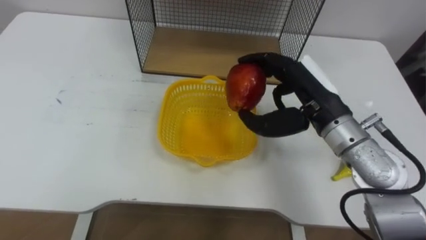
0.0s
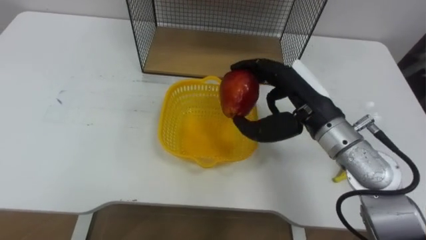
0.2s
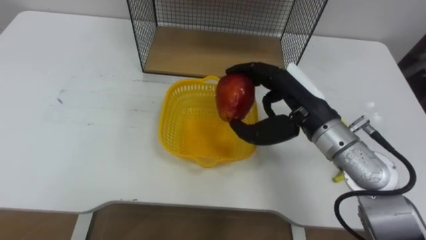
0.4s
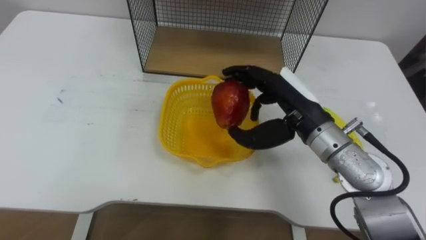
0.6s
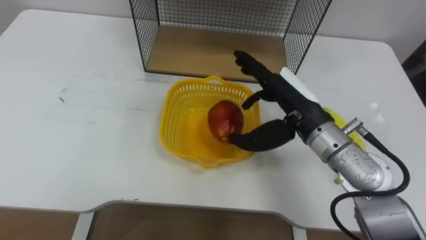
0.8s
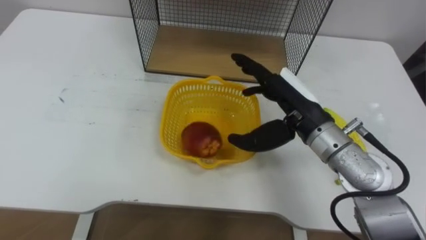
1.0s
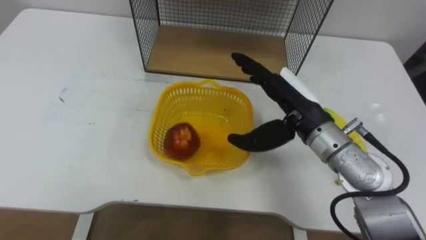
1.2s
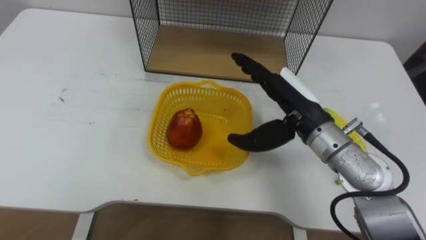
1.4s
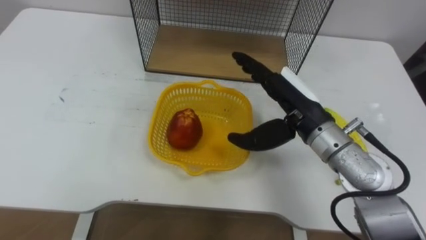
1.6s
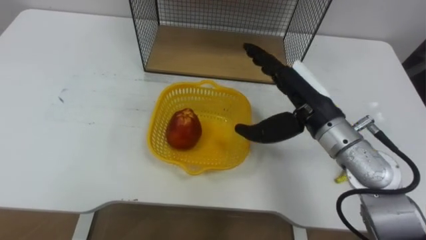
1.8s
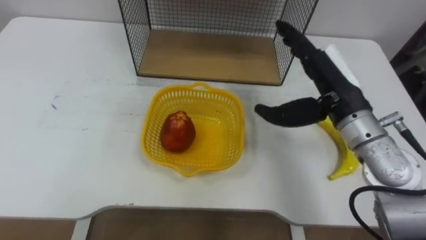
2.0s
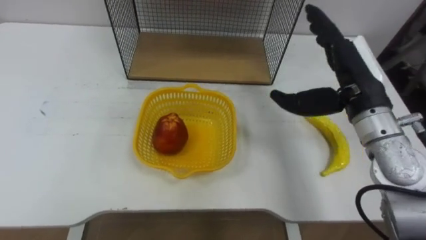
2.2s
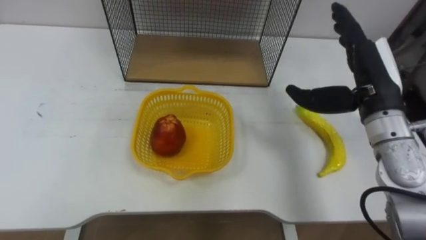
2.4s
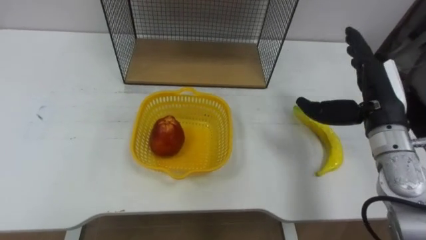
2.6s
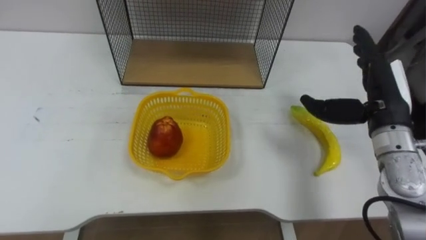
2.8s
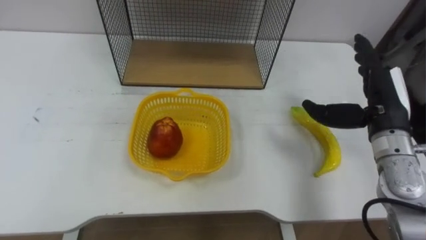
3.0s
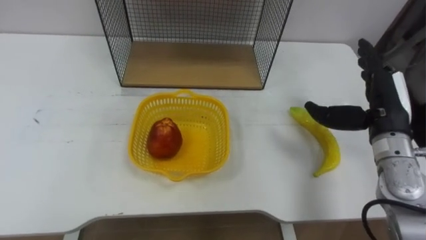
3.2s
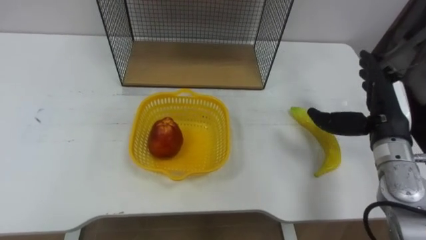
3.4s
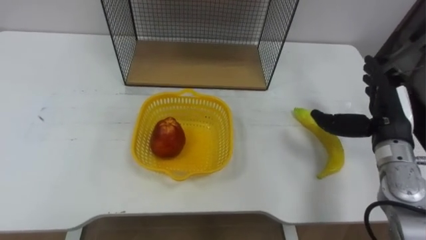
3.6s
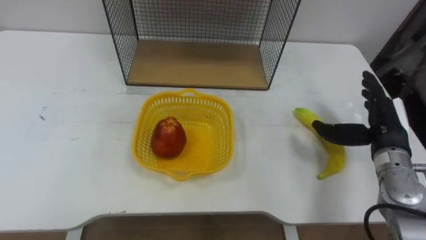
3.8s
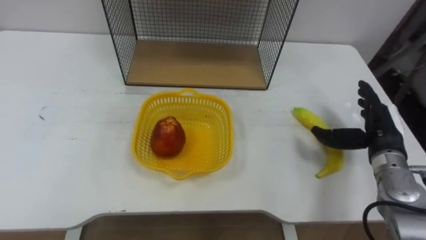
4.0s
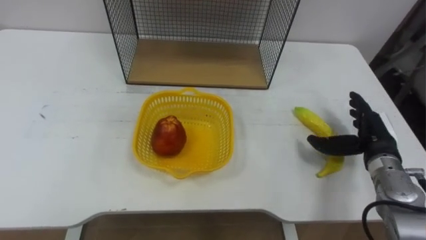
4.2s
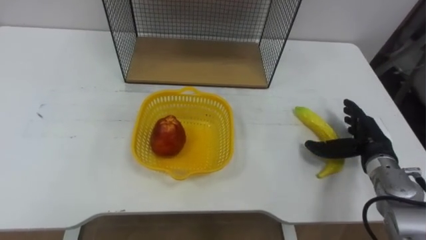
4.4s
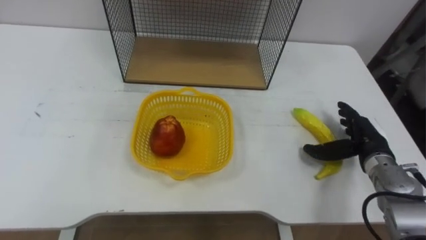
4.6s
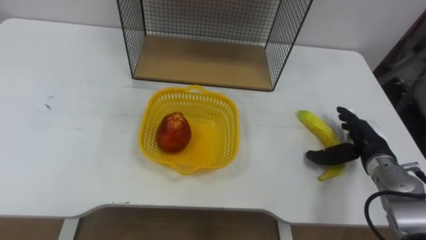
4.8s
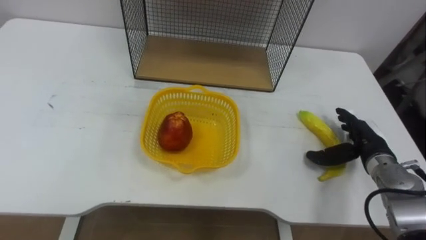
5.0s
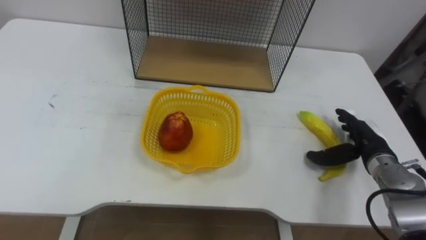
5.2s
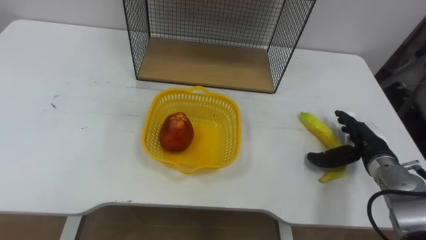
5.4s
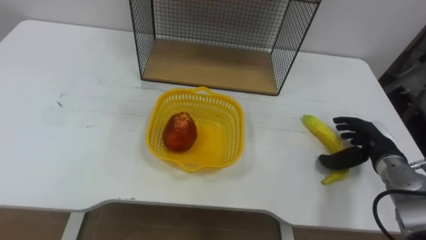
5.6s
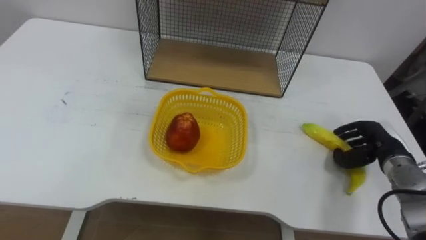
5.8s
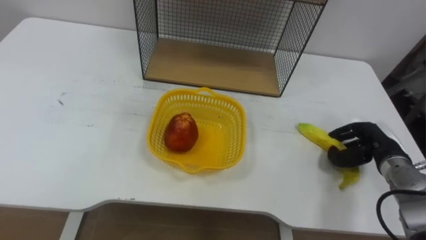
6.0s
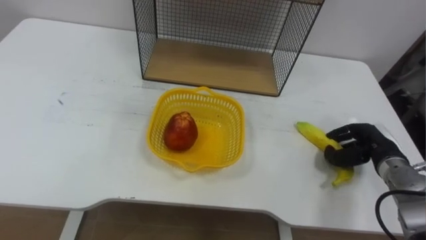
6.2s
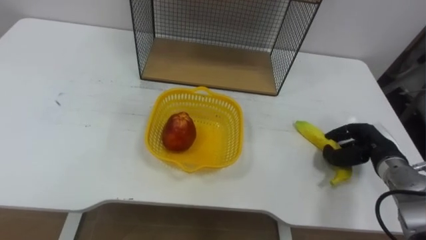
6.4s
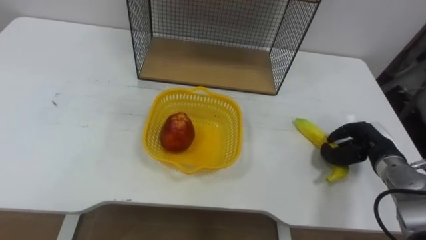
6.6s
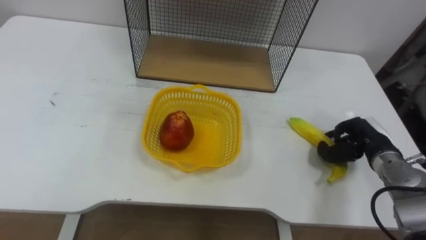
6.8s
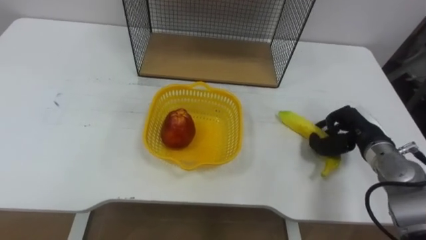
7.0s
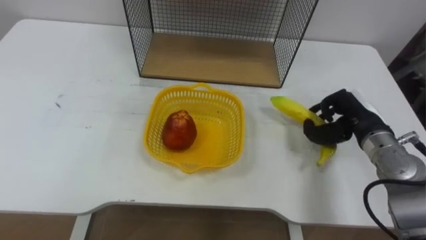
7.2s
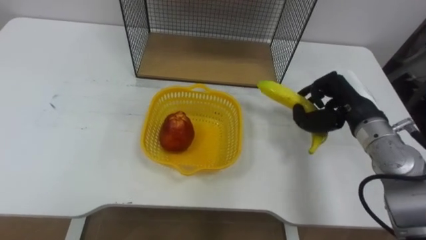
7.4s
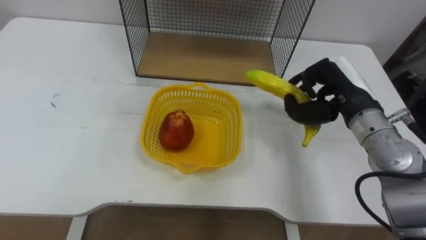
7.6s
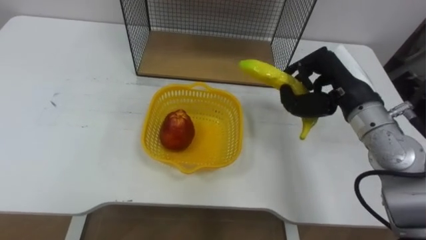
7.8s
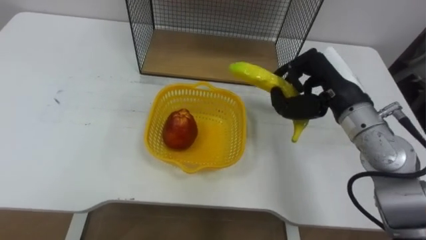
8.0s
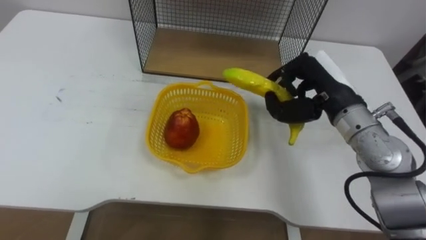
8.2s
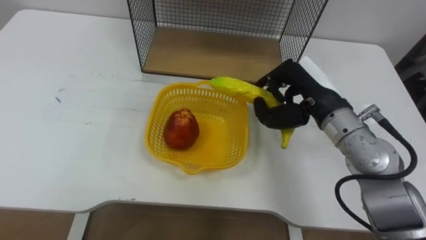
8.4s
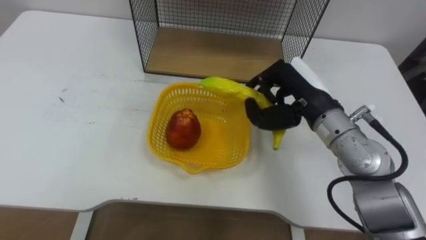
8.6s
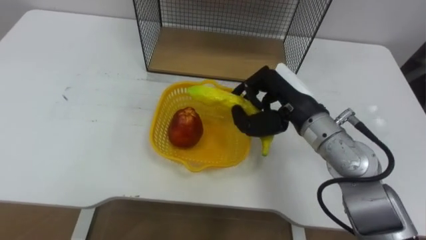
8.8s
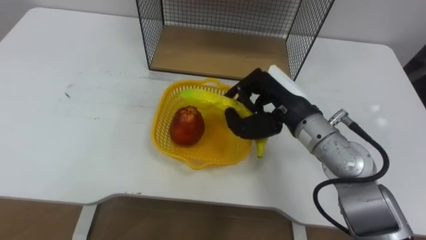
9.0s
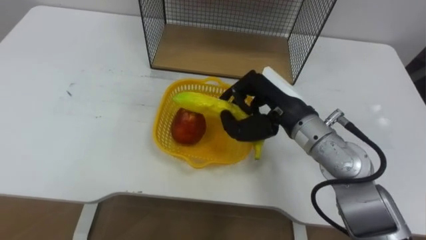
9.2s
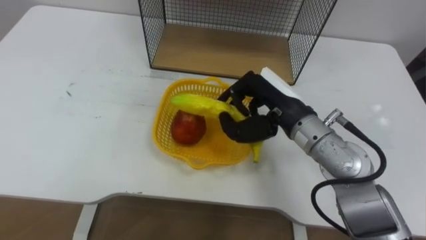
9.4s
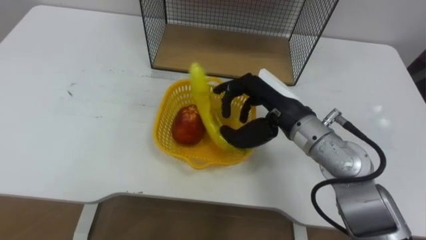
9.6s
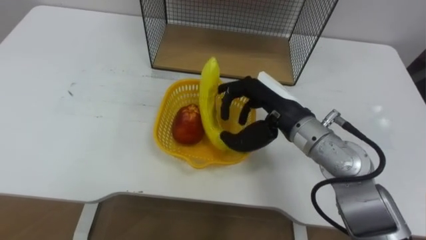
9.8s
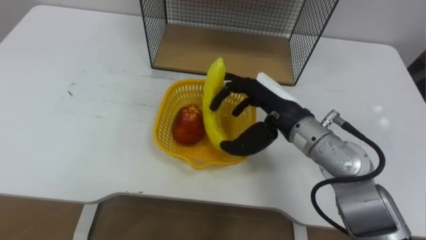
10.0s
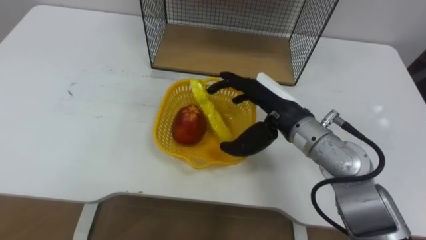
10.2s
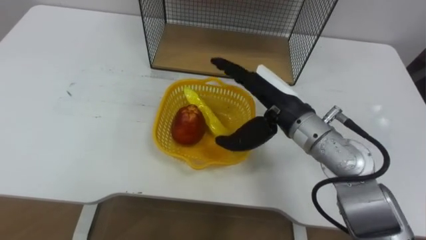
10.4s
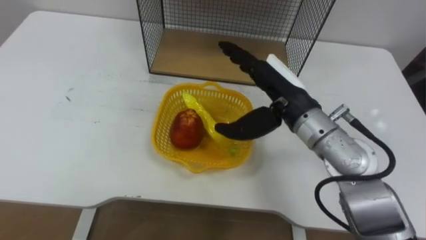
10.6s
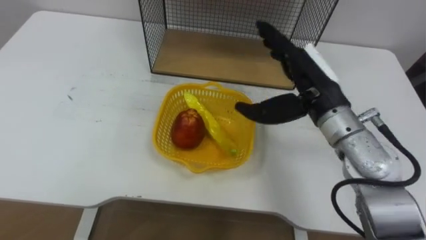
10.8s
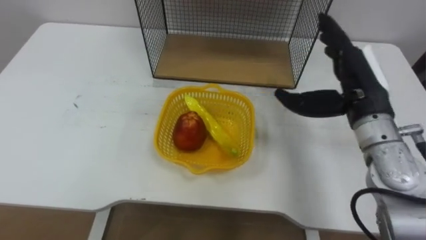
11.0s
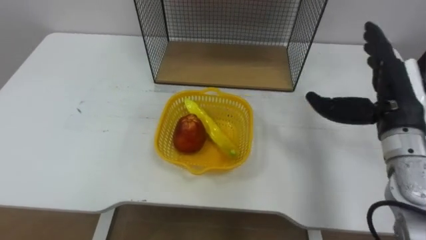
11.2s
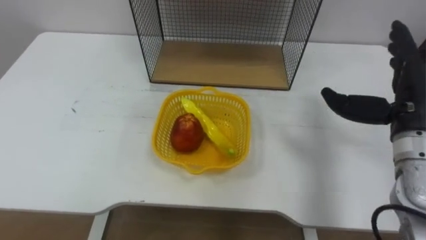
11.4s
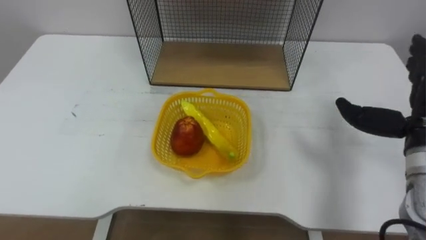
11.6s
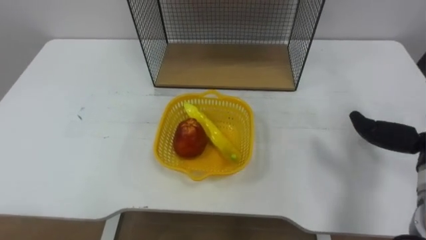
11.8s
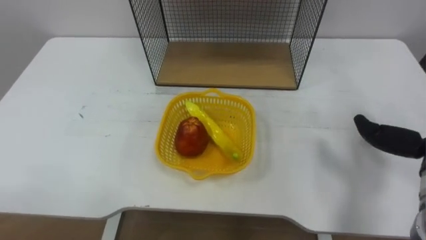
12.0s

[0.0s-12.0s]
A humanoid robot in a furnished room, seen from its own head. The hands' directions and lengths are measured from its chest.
Task of the whole recording: Put the fruit on the table into the basket, then place the basket on the shelf.
0.0s to 1.6s: The right hand opens.
1.6s to 3.0s: The right hand heads to the right, covering about 15 cm.
3.0s to 4.4s: The right hand heads downward, covering about 10 cm.
4.4s to 6.0s: The right hand closes its fingers.
6.0s to 7.6s: The right hand moves upward and to the left, roughly 20 cm.
7.6s to 9.0s: The right hand travels to the left by approximately 10 cm.
9.0s to 10.4s: The right hand opens up.

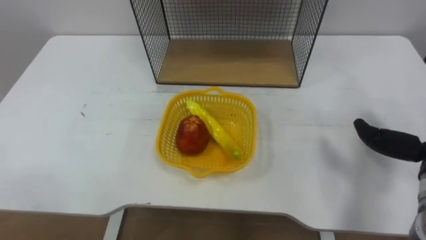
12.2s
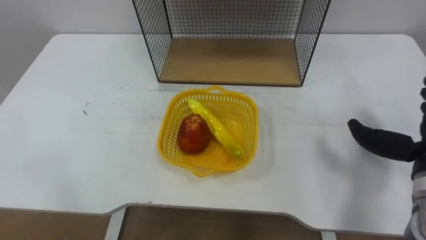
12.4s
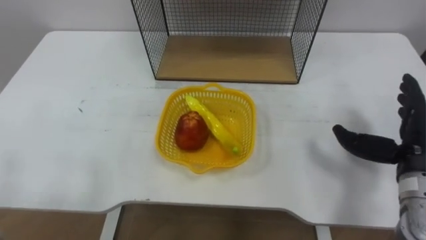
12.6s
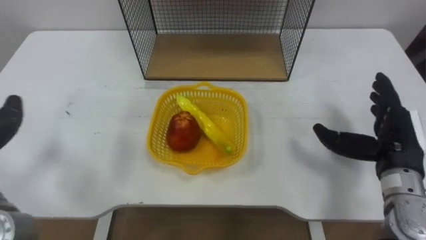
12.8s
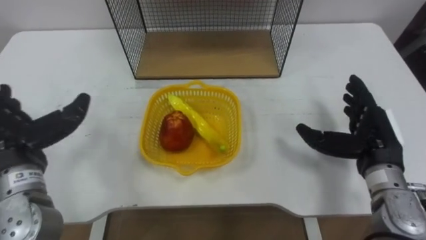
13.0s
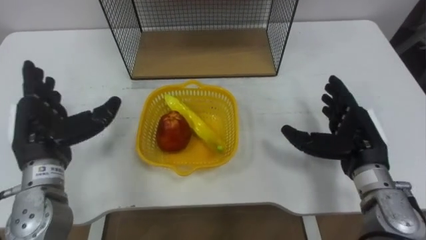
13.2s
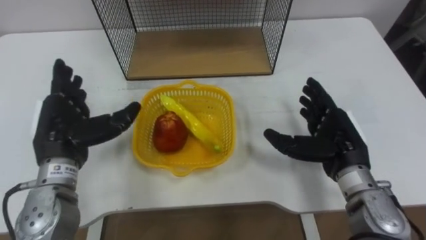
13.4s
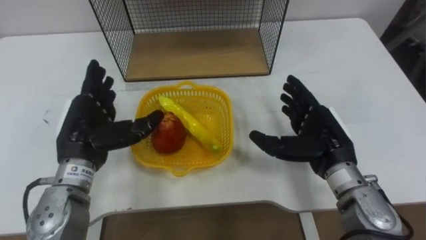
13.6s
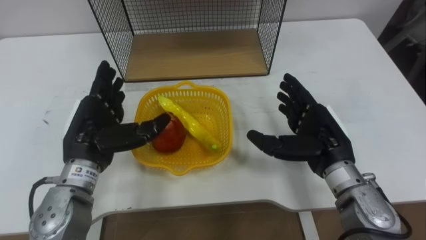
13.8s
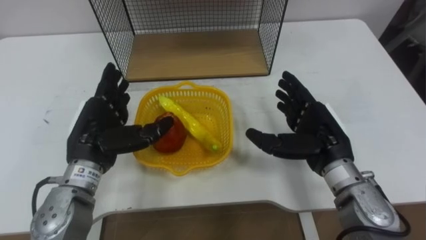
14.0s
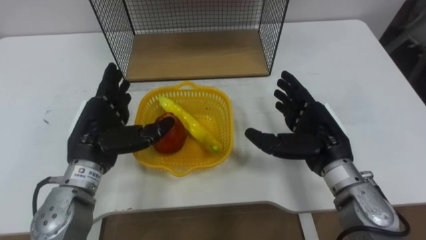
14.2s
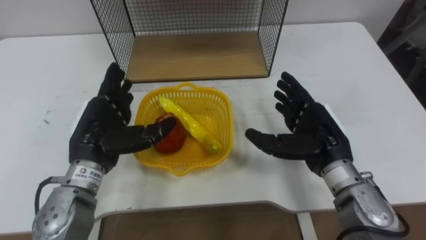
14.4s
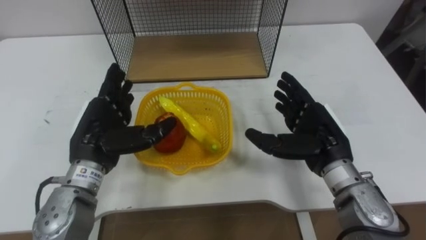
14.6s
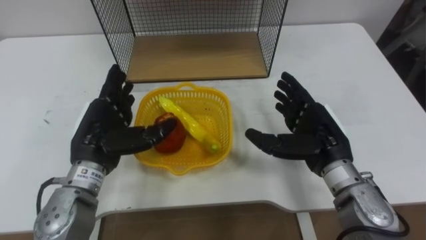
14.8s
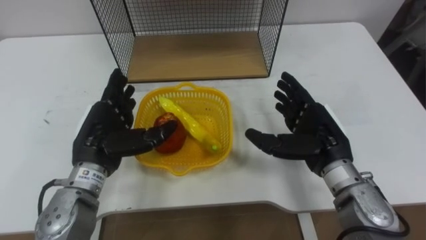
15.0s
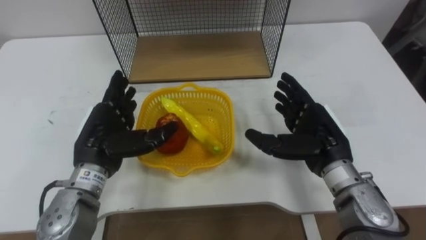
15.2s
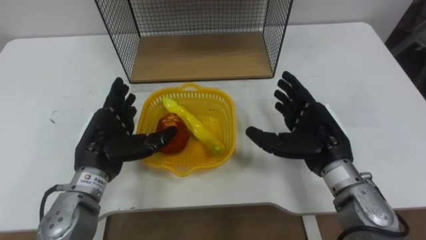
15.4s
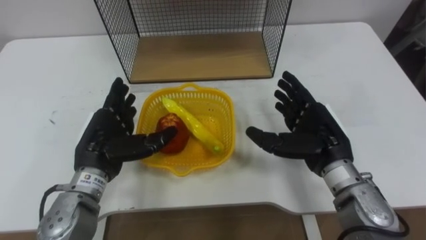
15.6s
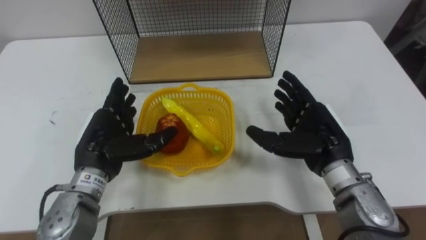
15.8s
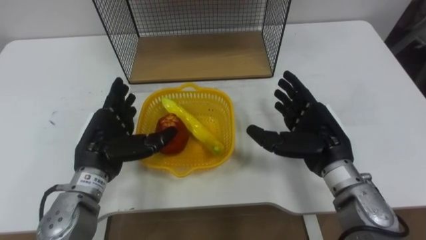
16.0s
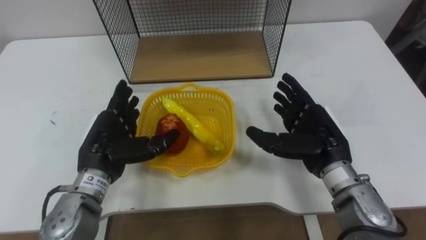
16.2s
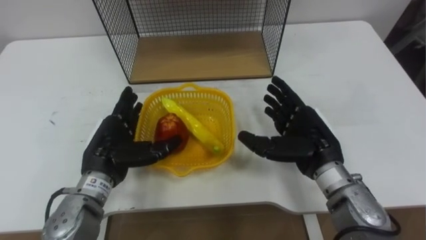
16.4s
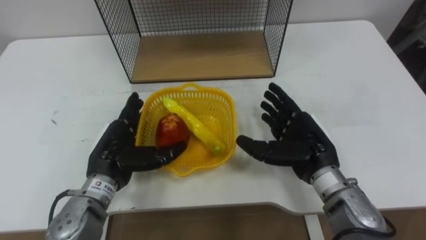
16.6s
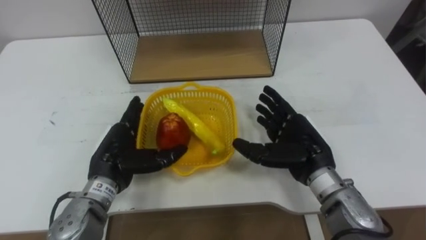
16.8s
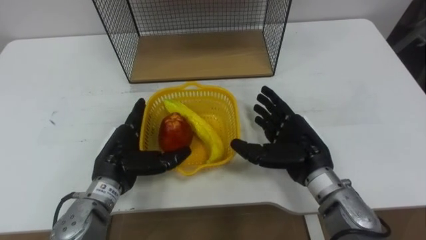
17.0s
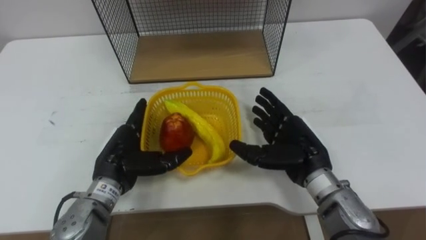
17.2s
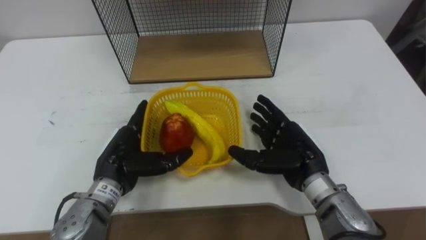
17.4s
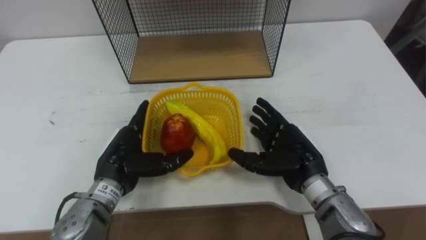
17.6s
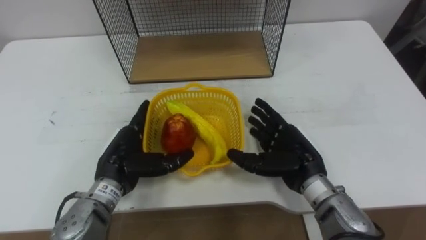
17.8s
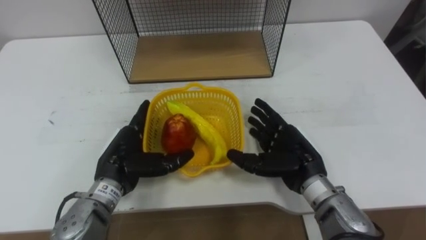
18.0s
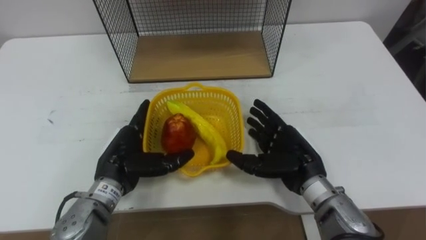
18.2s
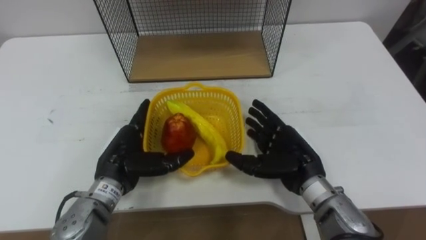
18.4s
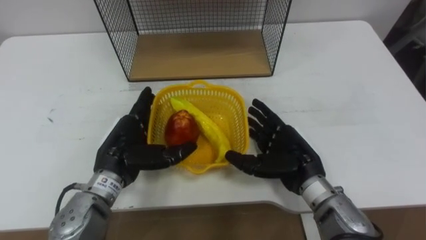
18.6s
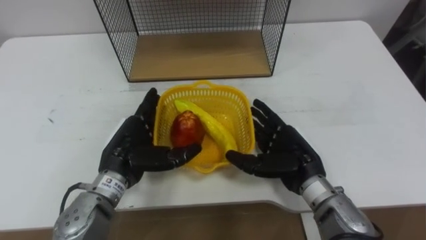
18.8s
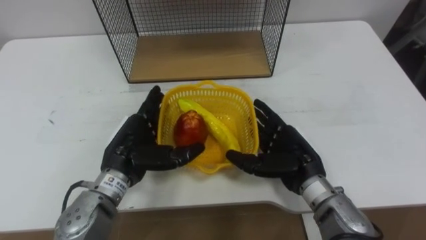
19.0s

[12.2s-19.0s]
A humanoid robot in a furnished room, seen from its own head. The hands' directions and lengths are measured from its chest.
Task of the whole recording: Put the fruit on the table into the basket, then place the basket on the shelf.
13.6s to 16.2s: The hands stay close to where they were, moving slightly.
16.2s to 17.6s: The right hand ends up roughly 5 cm from where it was.
17.6s to 19.0s: The hands make only small movements.
